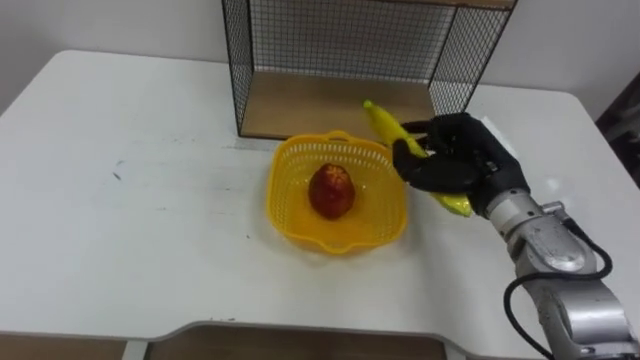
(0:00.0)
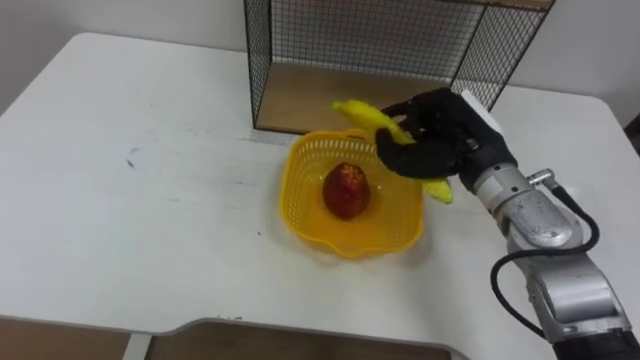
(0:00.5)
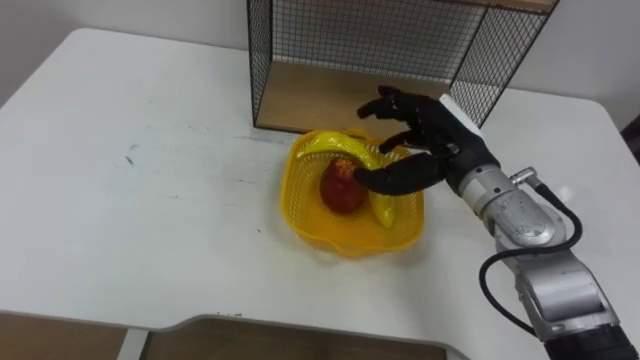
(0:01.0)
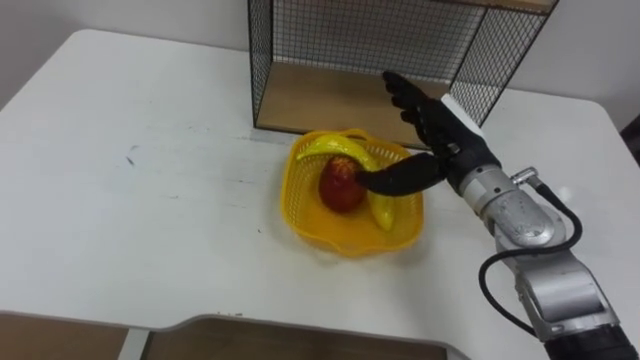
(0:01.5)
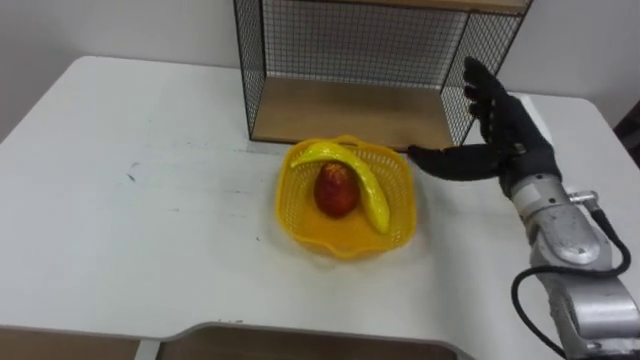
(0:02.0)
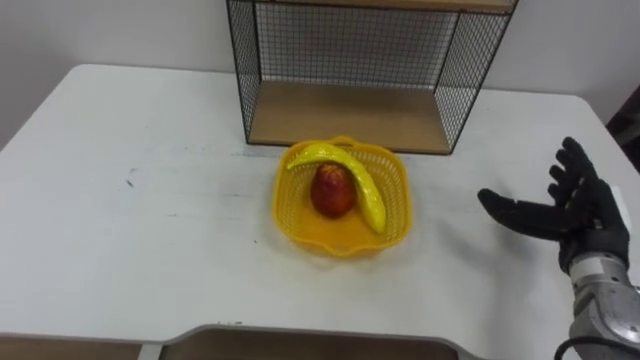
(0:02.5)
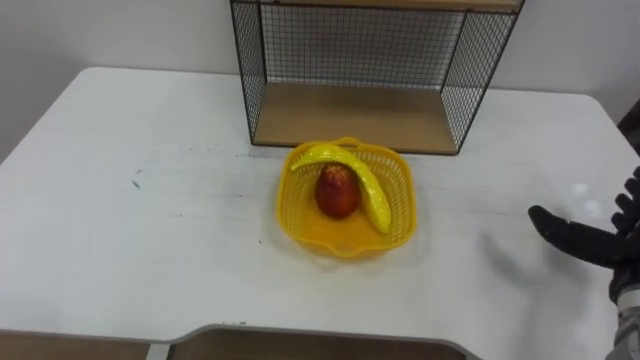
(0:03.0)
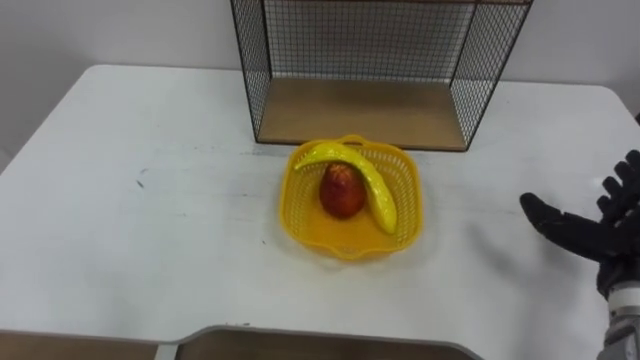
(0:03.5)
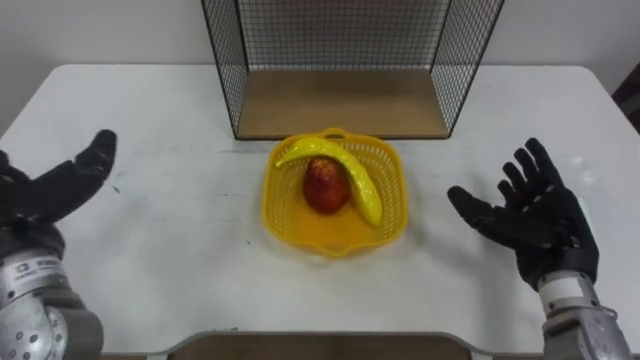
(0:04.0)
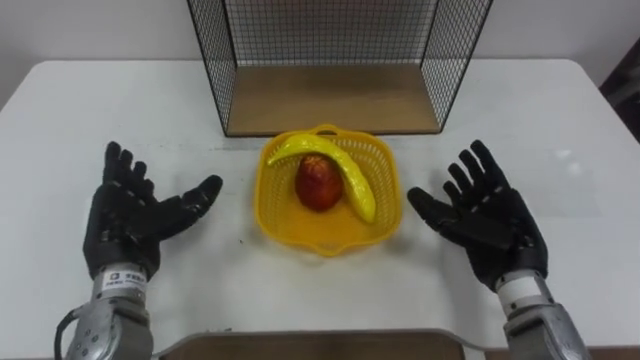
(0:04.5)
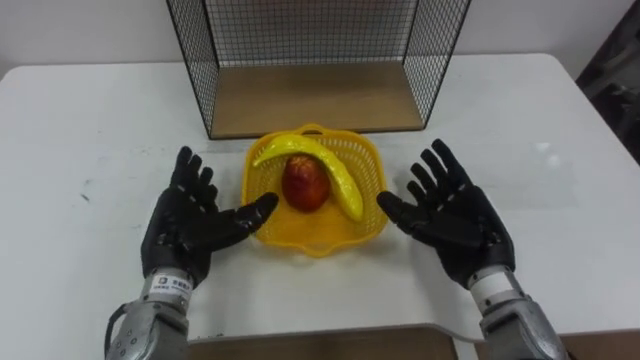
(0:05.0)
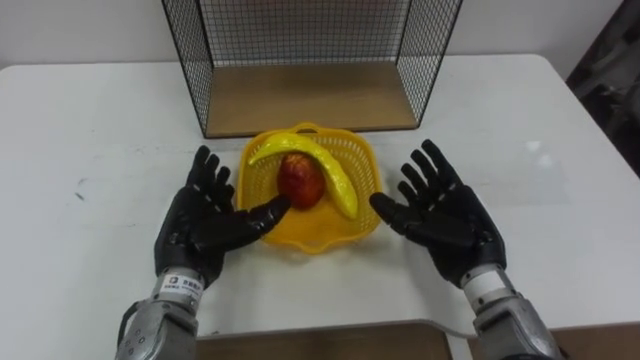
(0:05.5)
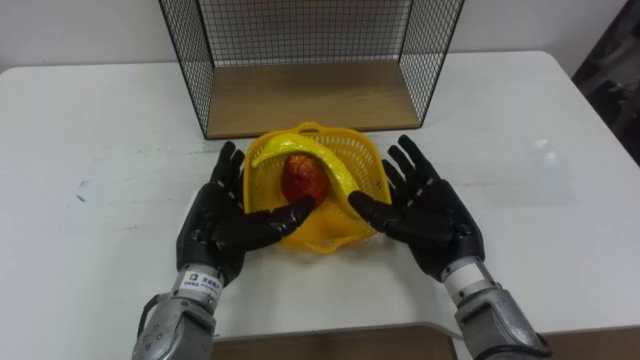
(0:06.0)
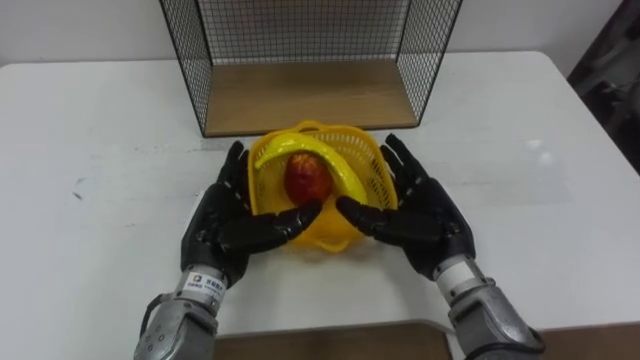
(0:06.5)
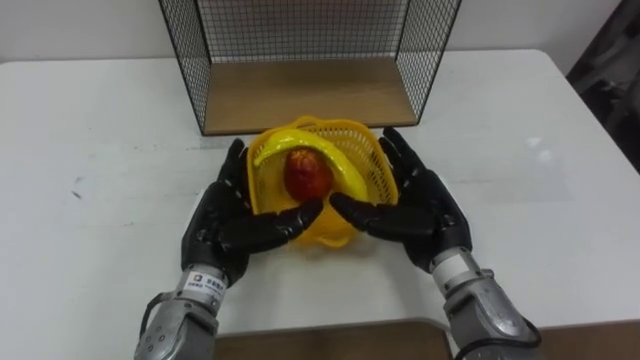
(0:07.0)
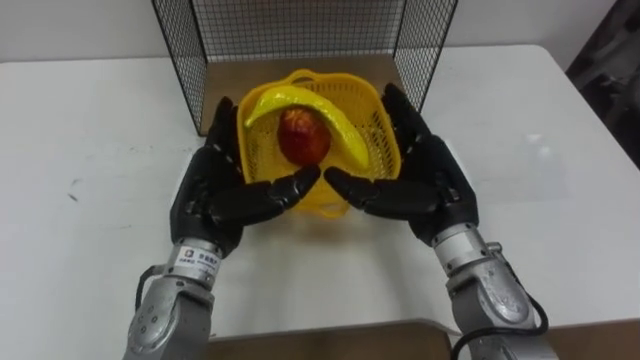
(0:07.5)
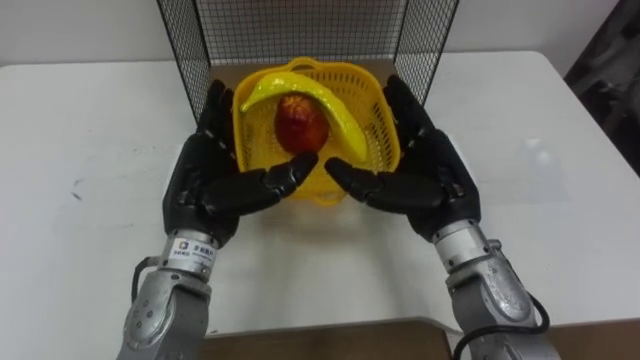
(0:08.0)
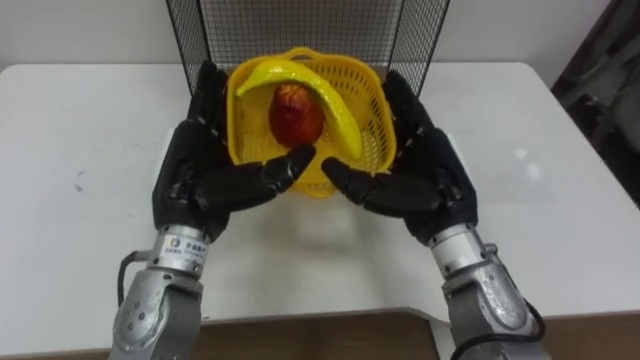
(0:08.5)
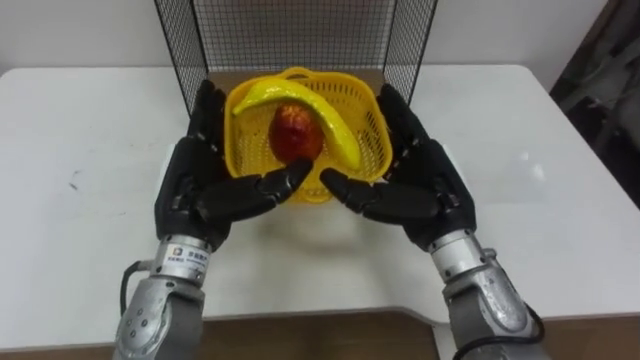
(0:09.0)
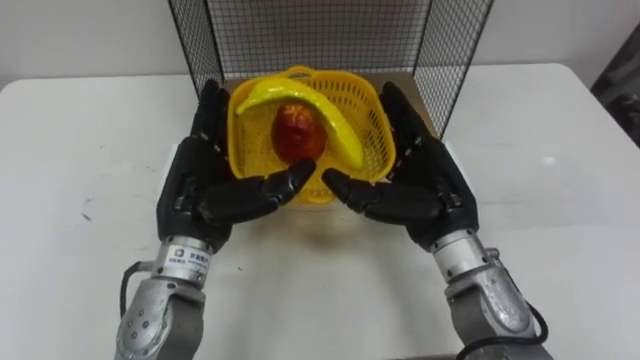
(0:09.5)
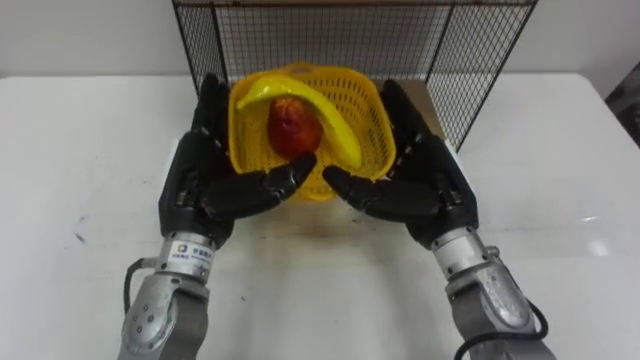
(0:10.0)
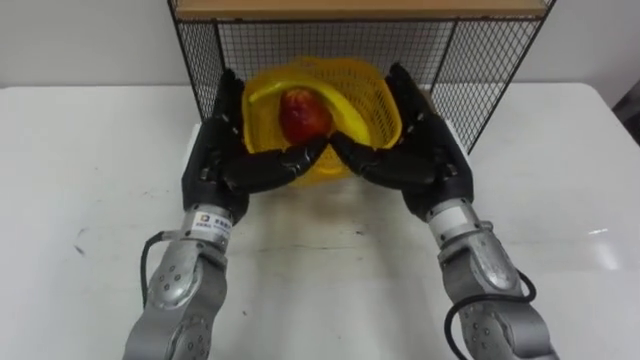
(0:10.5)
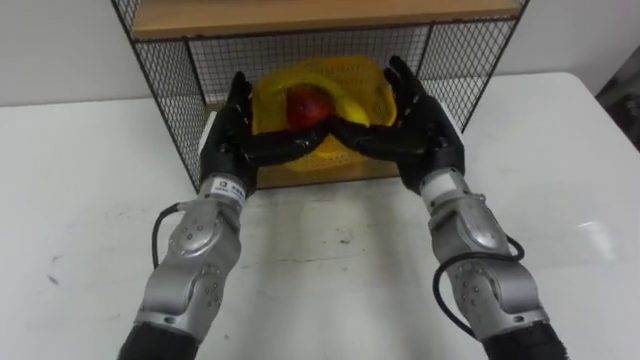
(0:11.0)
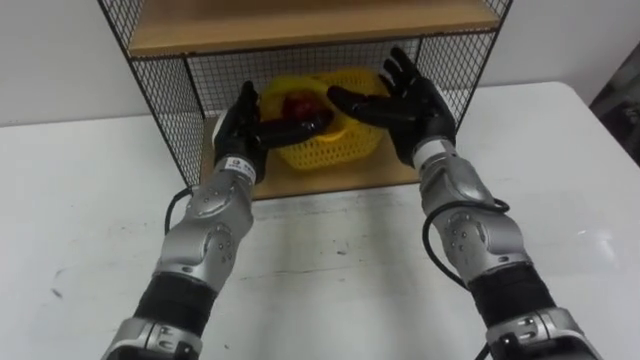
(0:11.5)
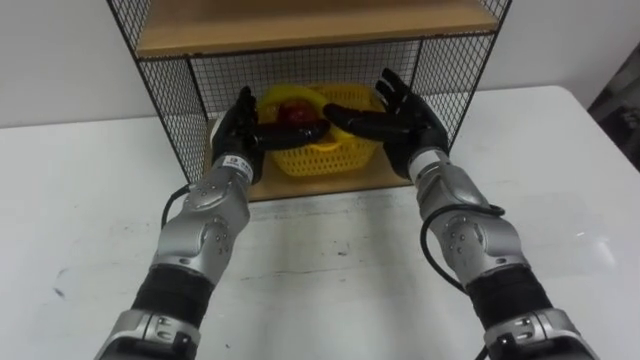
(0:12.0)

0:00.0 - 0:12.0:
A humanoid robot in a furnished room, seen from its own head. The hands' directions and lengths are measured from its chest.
Task of the whole recording: Put the fruit on the table into the basket, then place the basket on the shelf.
0:00.0 - 0:02.0: The right hand opens up.
0:04.0 - 0:06.0: The right hand heads to the left, covering roughly 10 cm. The left hand goes roughly 20 cm to the right and downward.
0:06.0 - 0:08.0: Both hands travel together upward, approximately 5 cm.
0:10.0 - 0:12.0: Both hands move forward, some 10 cm.

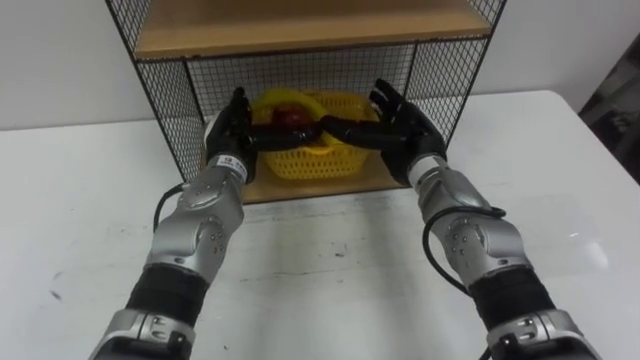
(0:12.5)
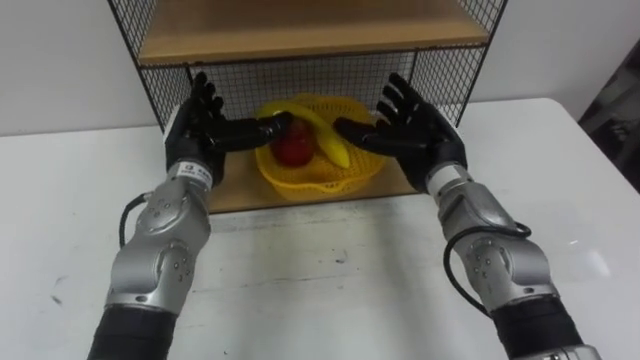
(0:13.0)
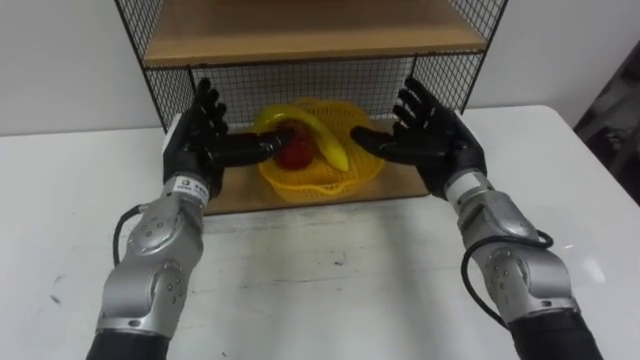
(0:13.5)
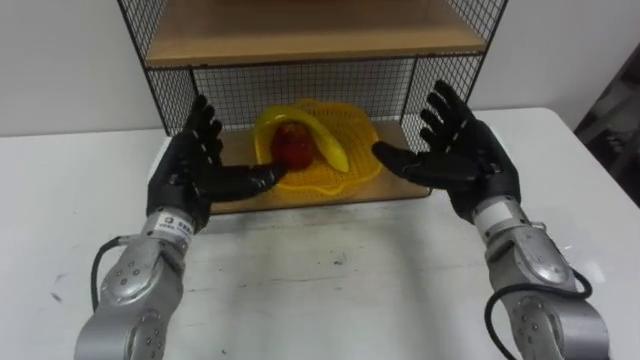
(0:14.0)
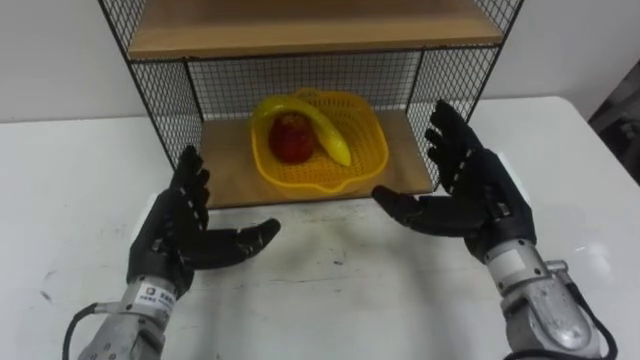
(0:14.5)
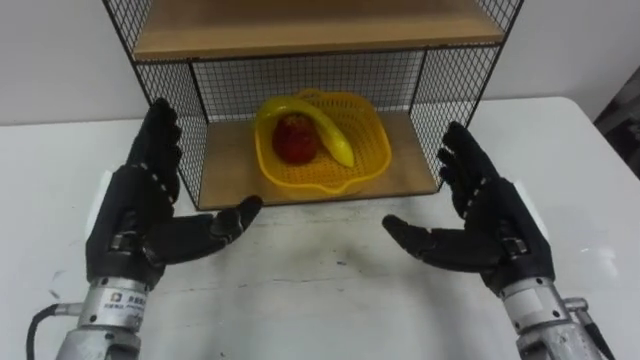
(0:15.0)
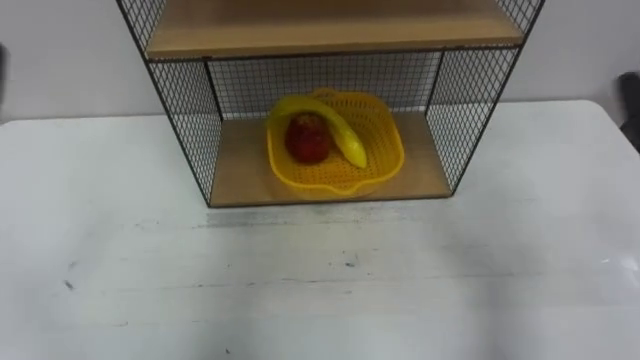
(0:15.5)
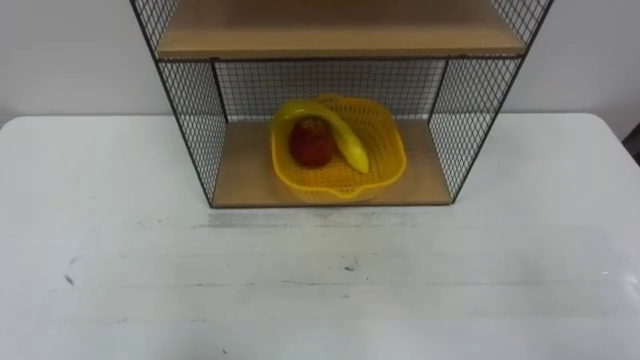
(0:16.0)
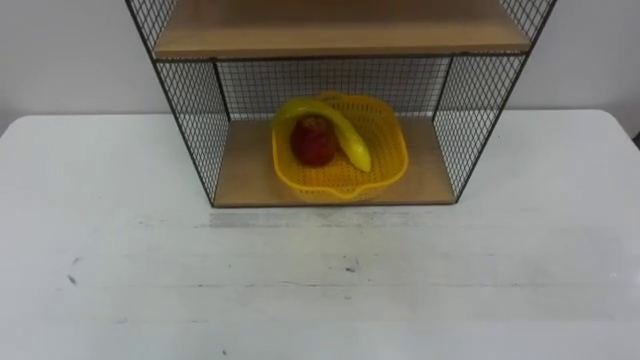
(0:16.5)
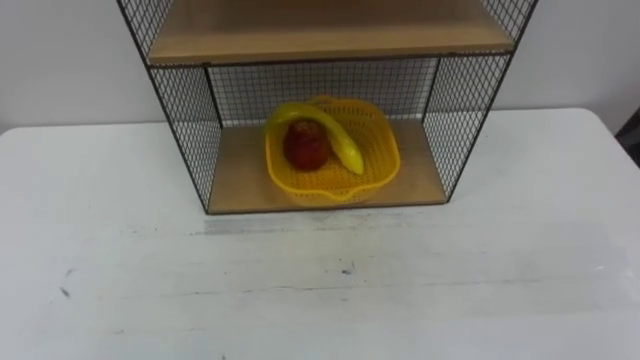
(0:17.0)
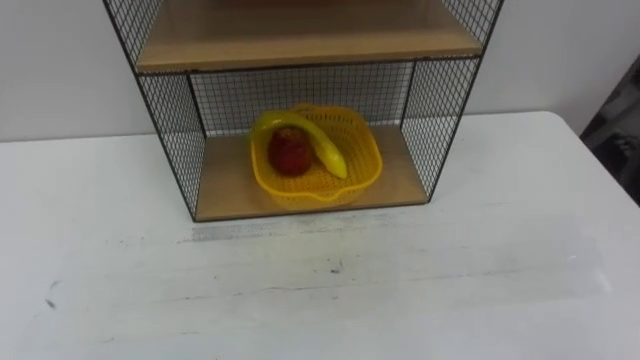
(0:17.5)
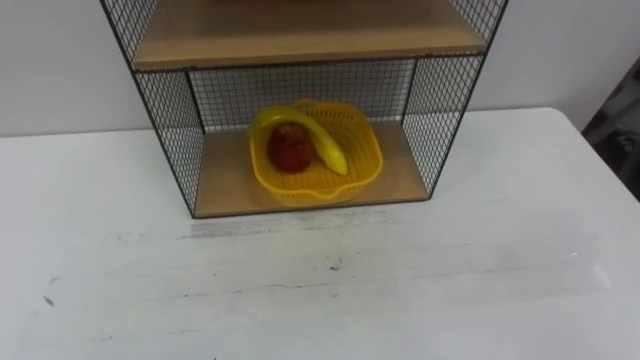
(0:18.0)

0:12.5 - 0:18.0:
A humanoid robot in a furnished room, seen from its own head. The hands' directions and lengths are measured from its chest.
Task of the whole recording: Put the fruit on the table into the basket, then place the basket on the shelf.
0:12.5 - 0:14.5: The left hand heads backward and to the left, covering some 15 cm. The right hand shifts approximately 15 cm backward and to the right.

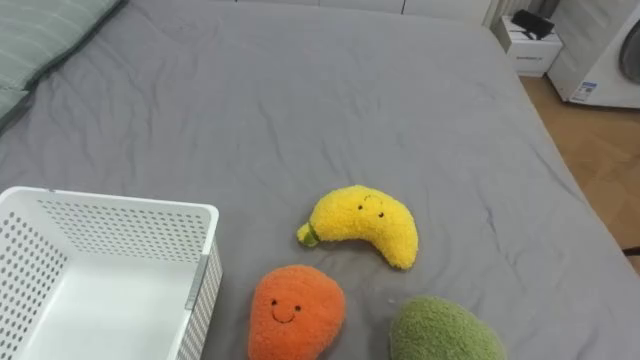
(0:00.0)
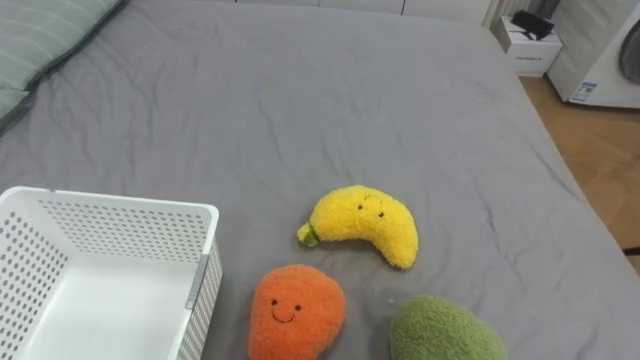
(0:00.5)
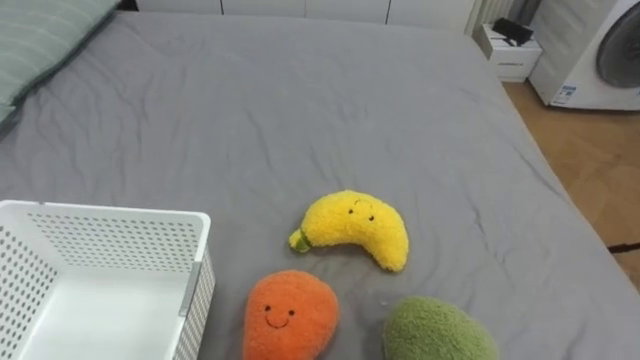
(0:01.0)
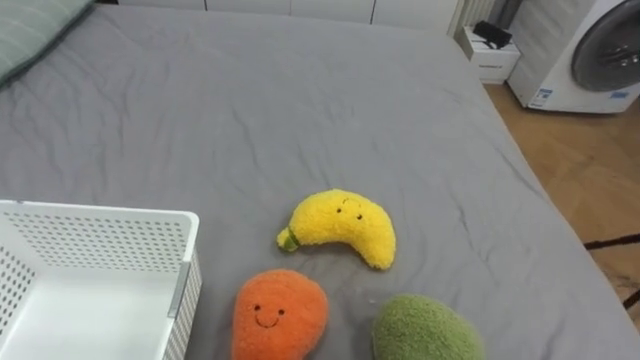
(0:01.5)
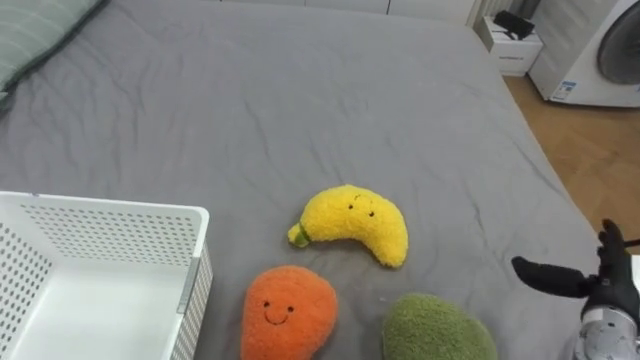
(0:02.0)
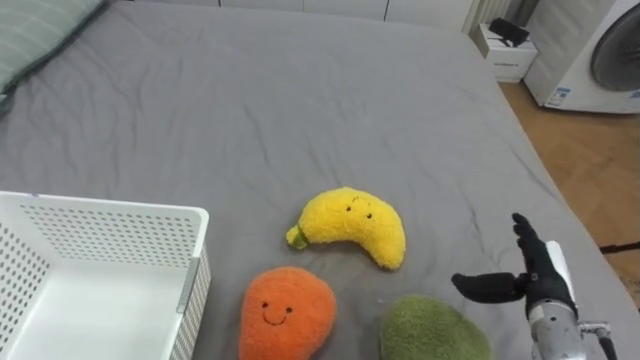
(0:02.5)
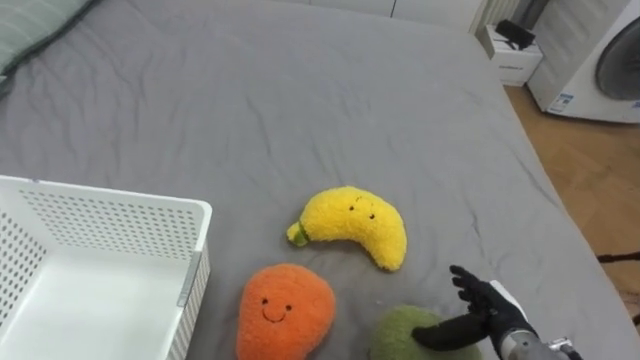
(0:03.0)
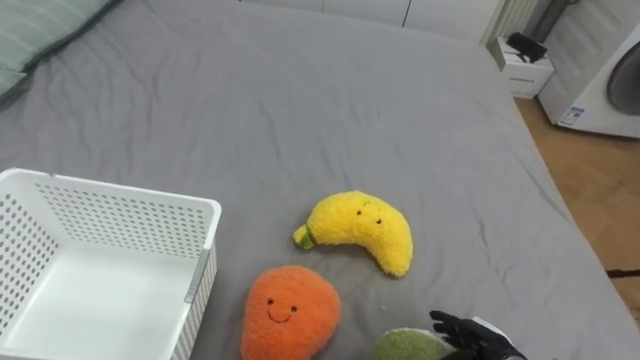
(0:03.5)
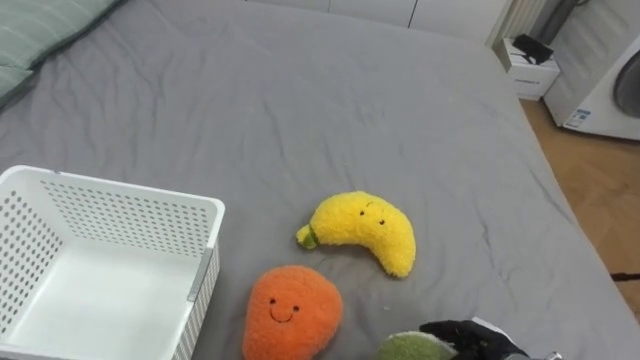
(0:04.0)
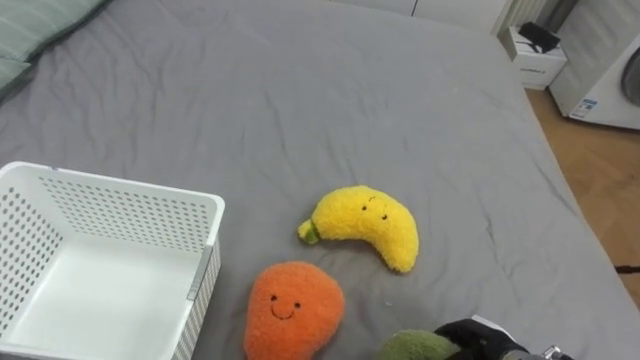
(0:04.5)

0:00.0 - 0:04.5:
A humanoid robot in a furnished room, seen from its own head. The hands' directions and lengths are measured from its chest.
Task of the whole recording: Put the toys on the bed into the basket on the left.
0:02.0 - 0:04.5: The right hand moves to the left and downward, approximately 15 cm, and closes.
